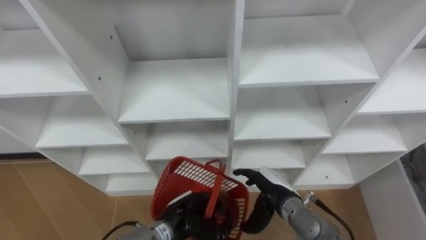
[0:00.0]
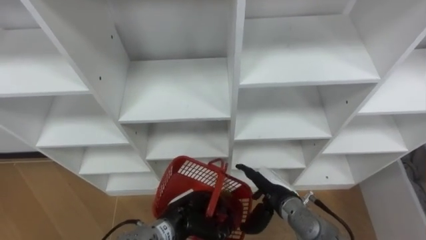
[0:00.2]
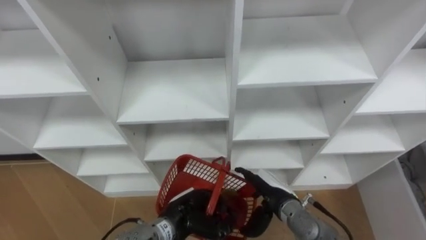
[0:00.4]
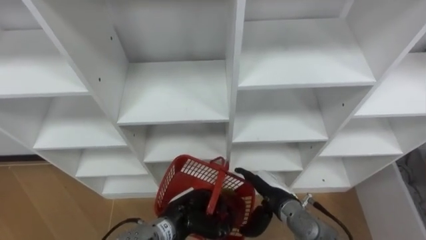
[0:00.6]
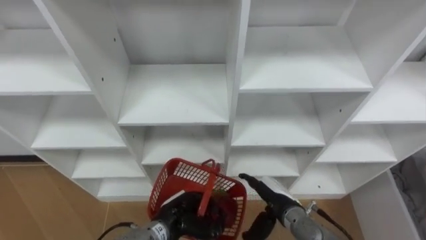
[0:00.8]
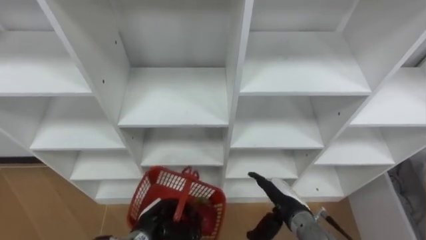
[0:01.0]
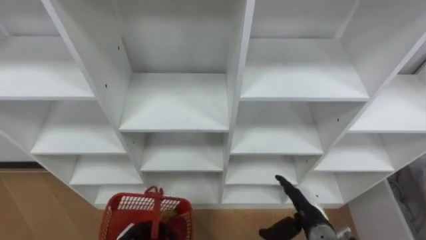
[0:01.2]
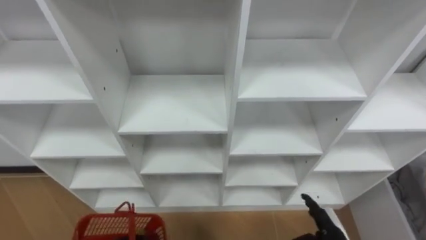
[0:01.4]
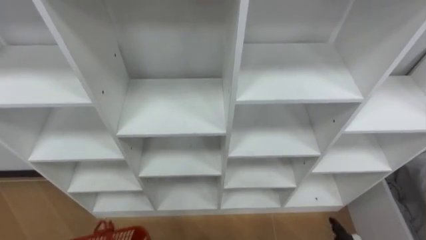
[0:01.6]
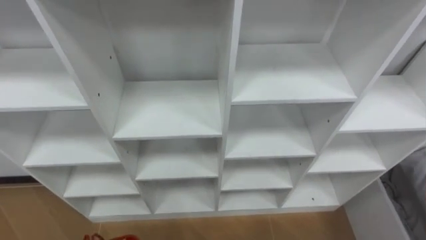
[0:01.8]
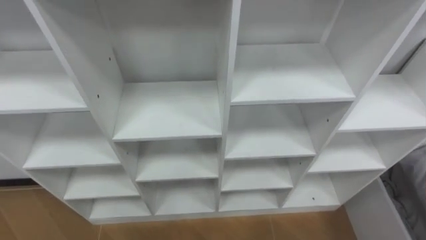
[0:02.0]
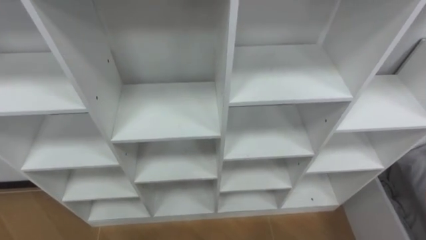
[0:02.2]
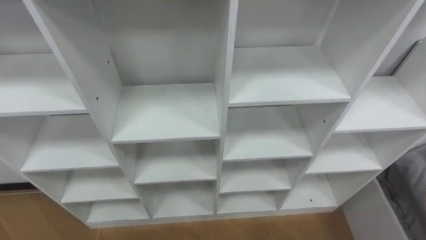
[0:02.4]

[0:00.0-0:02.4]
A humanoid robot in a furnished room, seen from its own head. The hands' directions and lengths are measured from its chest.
Task of the whole recording: Hold the basket and collect the fruits from 3 different cells of the closet into it.
0:00.0 to 0:01.2: The right hand goes roughly 5 cm to the right; the left hand is displaced to the left and downward by some 10 cm.

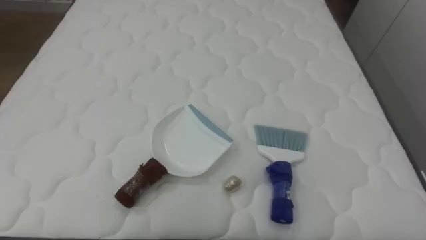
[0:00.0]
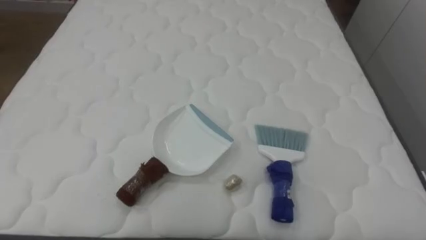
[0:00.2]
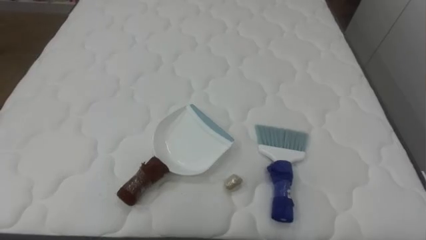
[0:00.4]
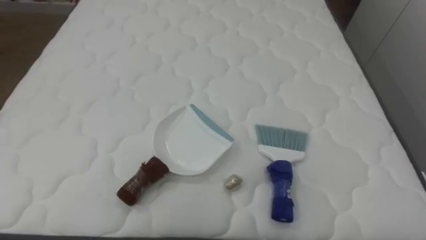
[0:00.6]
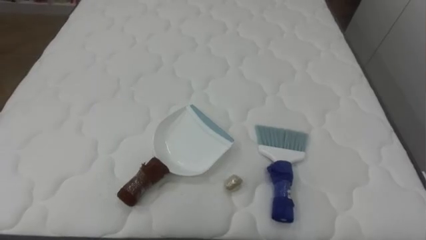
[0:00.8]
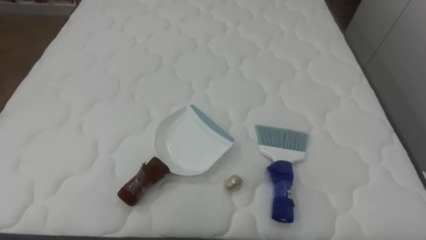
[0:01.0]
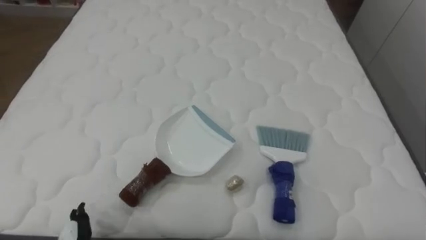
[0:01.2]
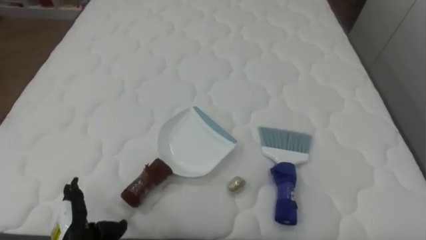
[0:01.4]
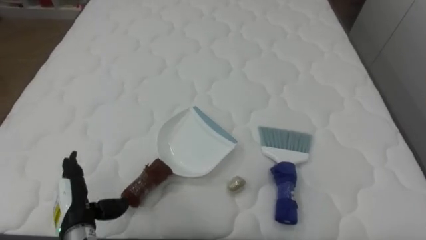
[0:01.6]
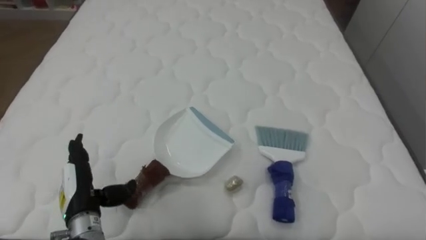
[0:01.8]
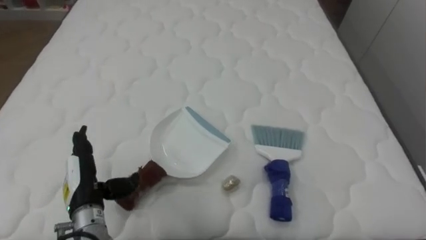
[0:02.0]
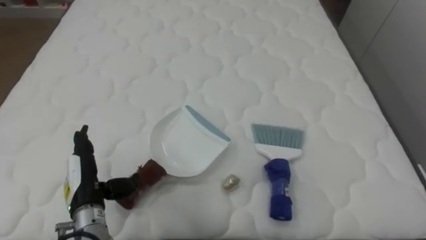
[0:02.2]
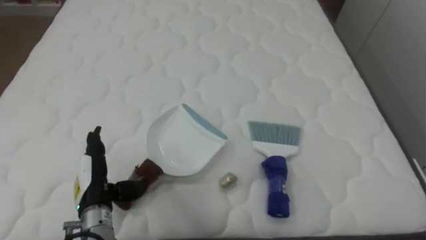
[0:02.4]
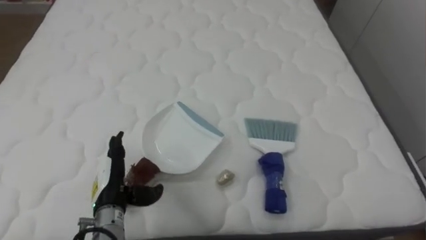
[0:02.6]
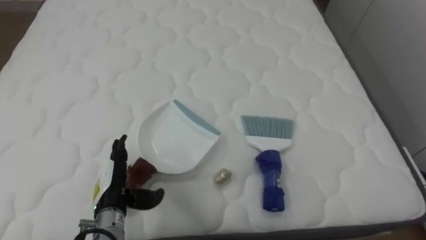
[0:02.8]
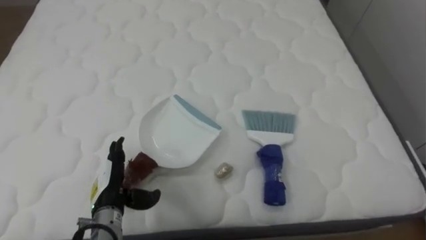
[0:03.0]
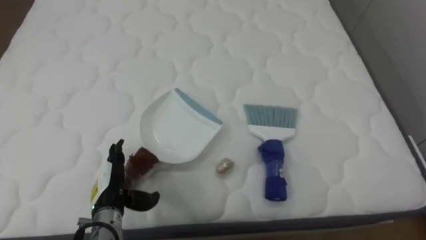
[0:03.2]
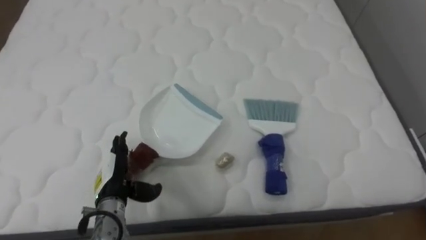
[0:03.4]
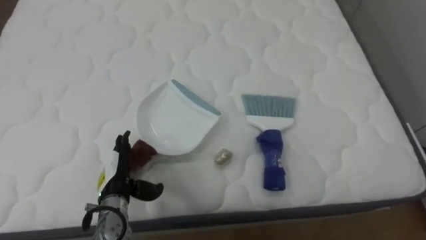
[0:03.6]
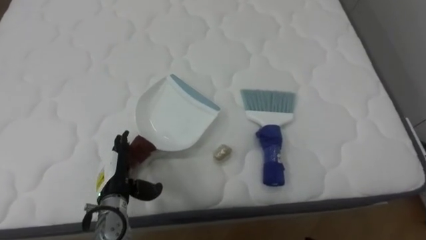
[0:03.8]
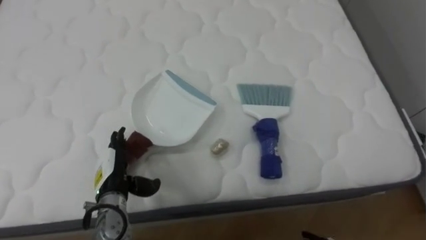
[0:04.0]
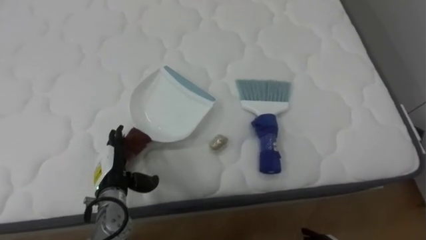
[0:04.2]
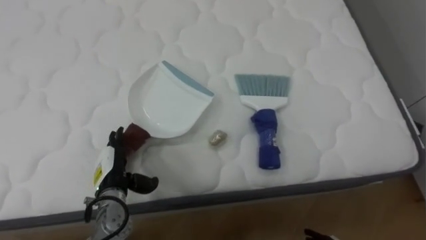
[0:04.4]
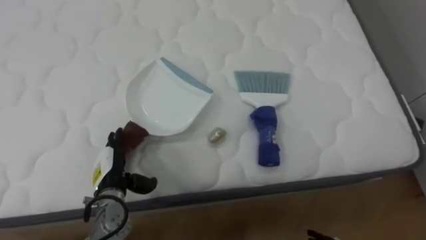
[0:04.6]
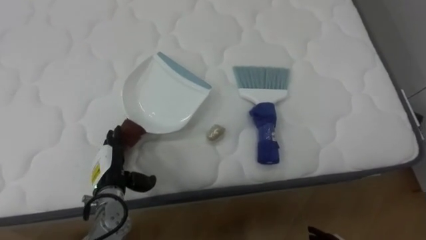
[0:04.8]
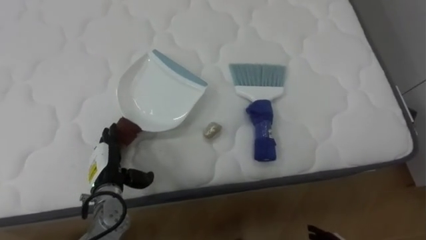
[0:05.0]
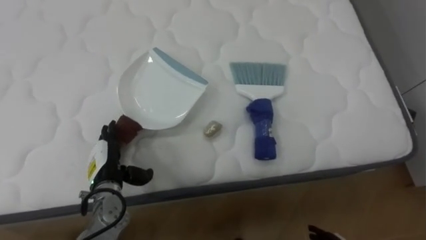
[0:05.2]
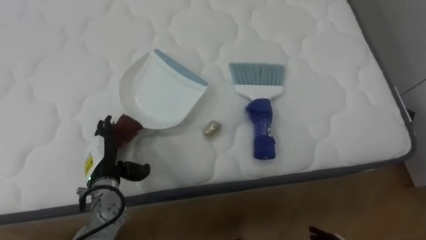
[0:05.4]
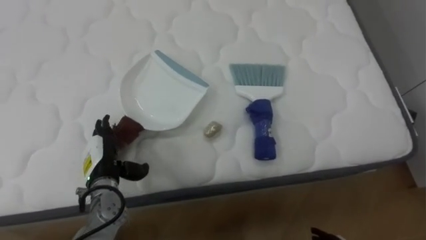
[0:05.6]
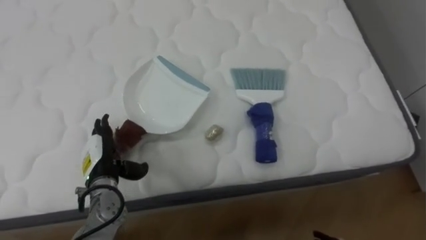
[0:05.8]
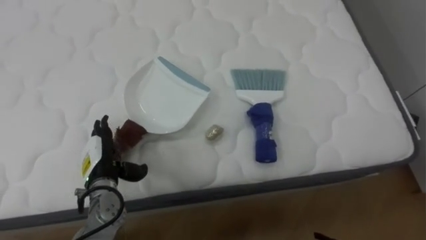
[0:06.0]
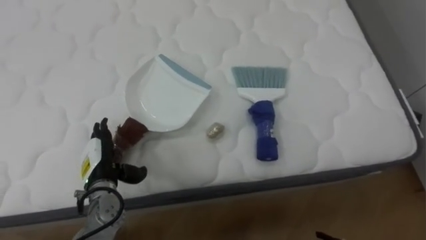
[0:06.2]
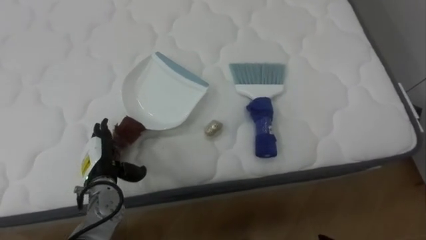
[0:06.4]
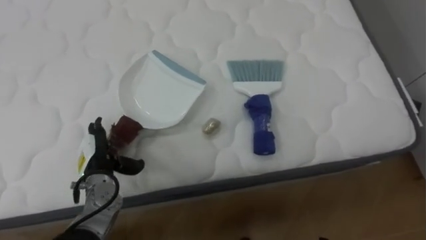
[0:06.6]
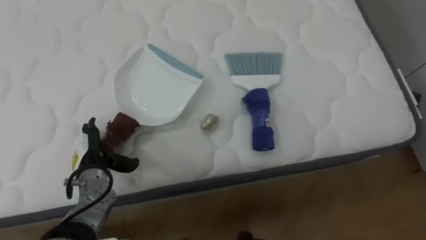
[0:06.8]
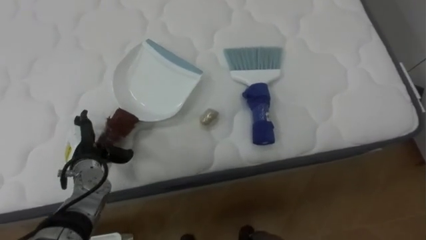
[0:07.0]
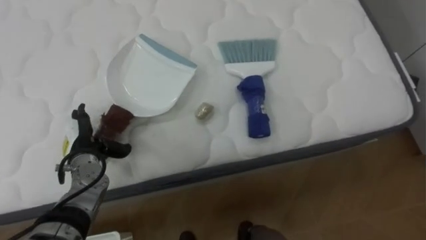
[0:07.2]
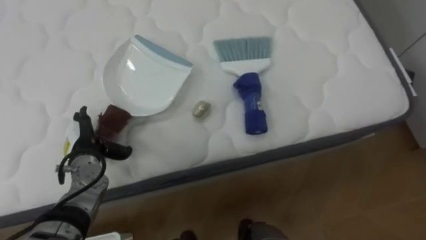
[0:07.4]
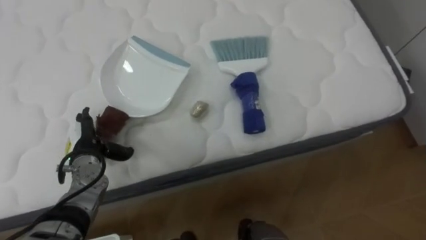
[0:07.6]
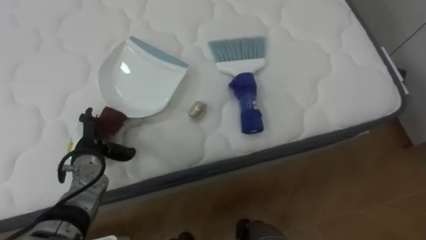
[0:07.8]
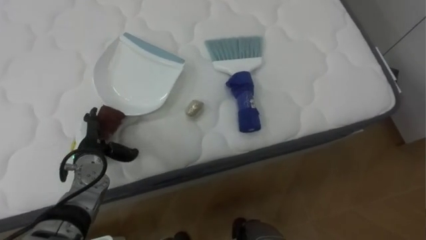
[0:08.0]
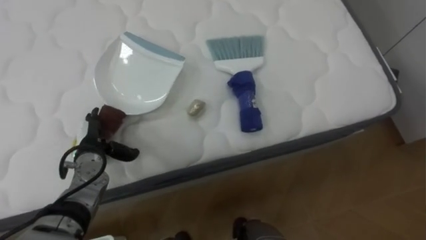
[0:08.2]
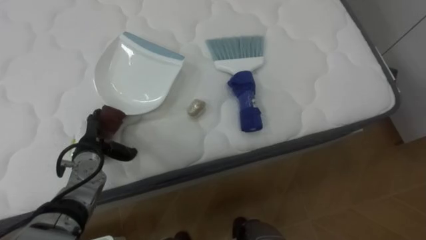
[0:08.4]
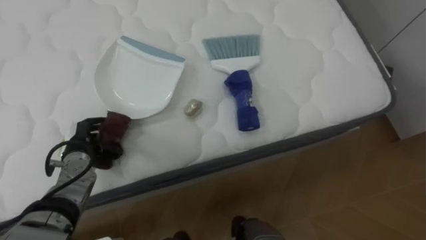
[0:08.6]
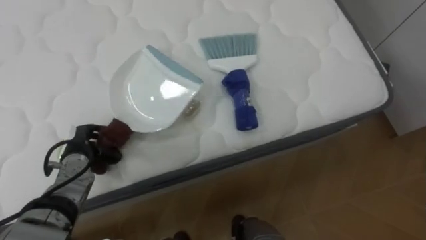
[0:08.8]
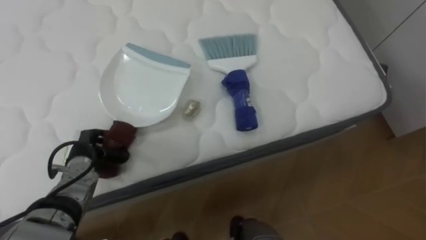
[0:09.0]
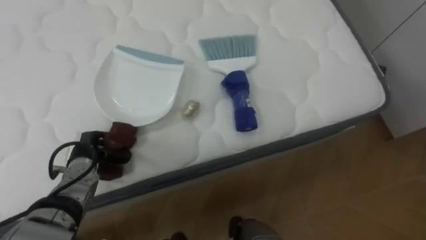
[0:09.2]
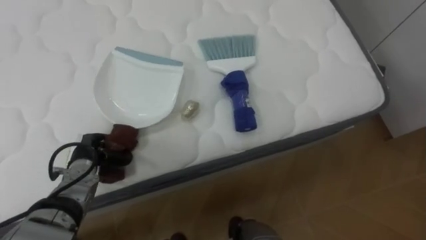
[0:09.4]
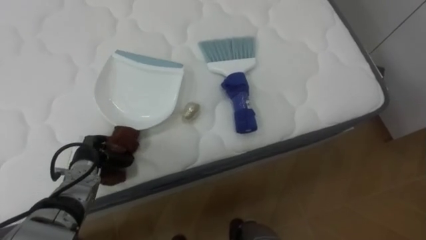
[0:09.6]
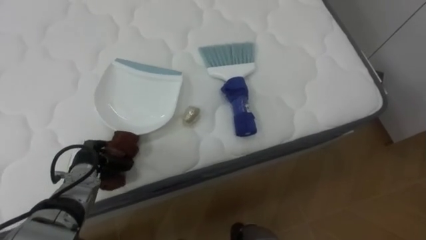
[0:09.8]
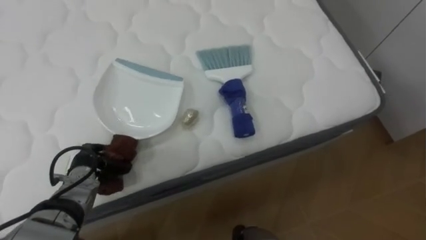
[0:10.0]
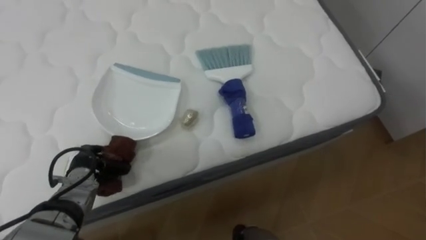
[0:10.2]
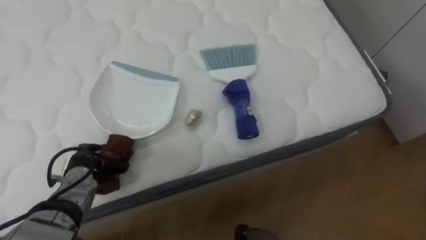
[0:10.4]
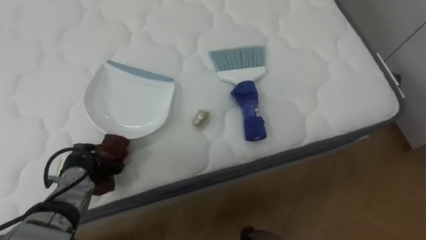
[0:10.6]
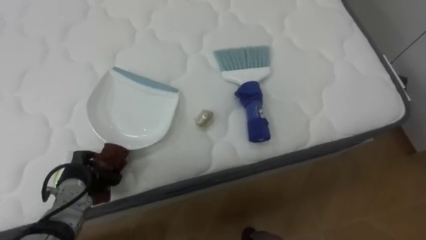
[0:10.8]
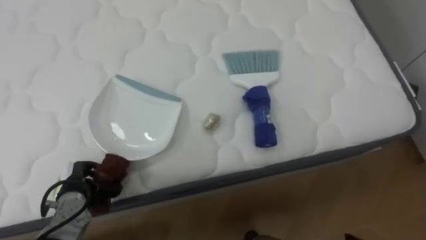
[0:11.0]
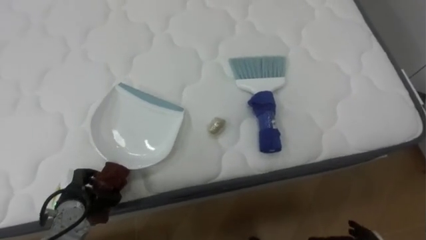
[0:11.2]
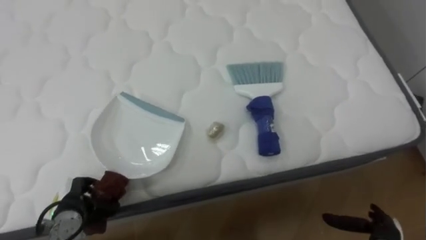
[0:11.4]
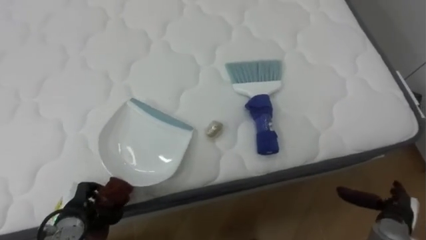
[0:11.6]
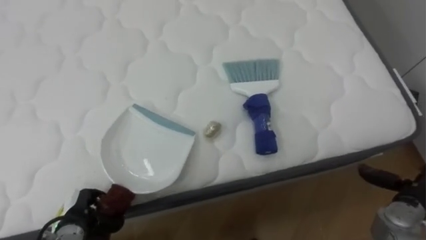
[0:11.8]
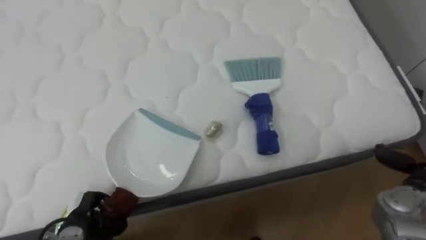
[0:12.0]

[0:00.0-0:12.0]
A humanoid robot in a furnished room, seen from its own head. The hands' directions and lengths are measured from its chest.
Task of the whole recording: Pick up the brush on your right and the dustpan on your left. Use the brush to sweep the crumpled paper on the bed into the dustpan, then turn left and empty it into the basket.
0:01.6 to 0:03.0: The left hand travels to the right by roughly 5 cm.
0:06.0 to 0:07.6: The left hand shifts by approximately 5 cm.
0:07.6 to 0:09.0: The left hand closes up.
0:10.4 to 0:12.0: The left hand moves backward, roughly 10 cm.

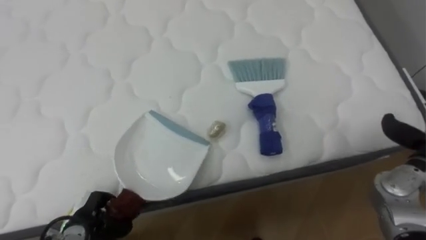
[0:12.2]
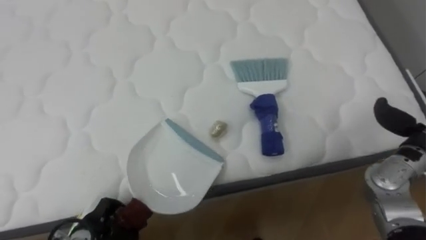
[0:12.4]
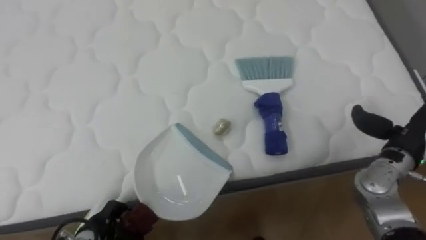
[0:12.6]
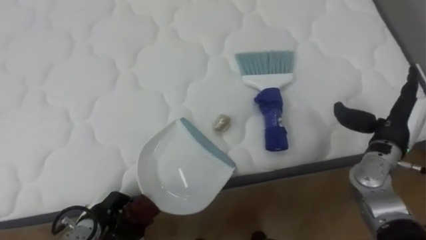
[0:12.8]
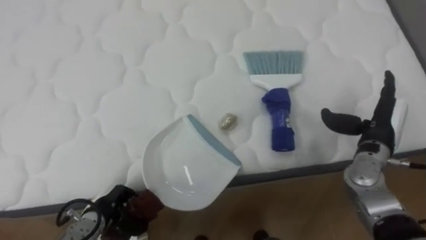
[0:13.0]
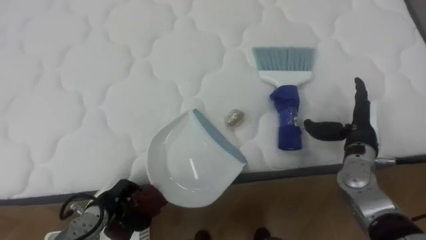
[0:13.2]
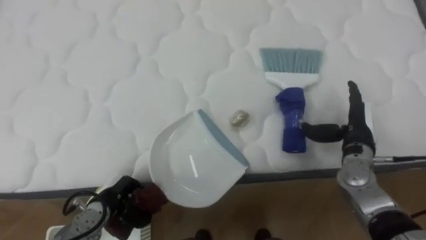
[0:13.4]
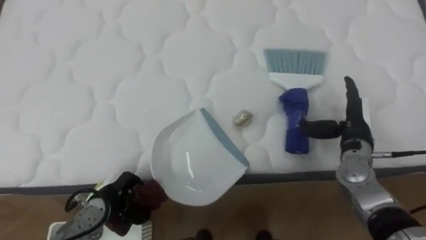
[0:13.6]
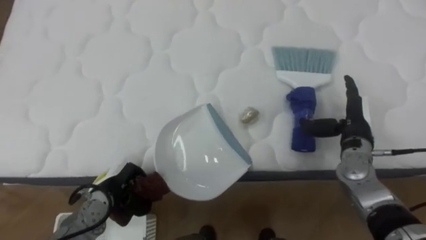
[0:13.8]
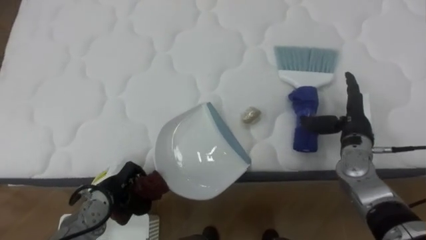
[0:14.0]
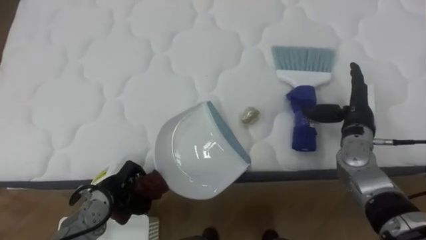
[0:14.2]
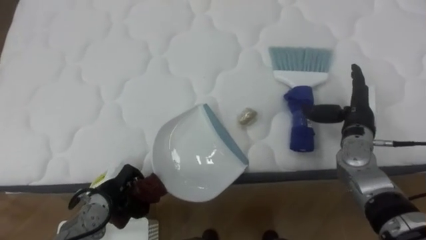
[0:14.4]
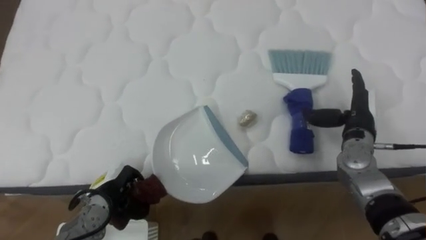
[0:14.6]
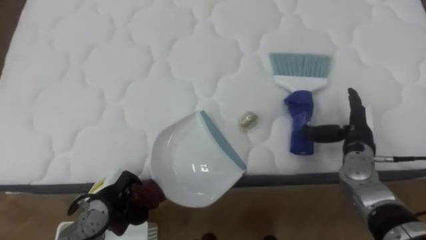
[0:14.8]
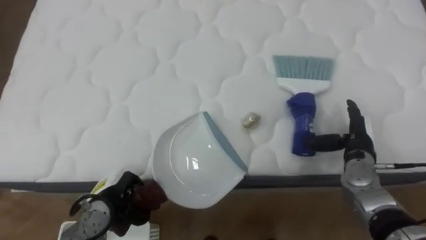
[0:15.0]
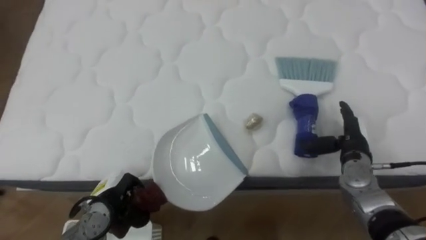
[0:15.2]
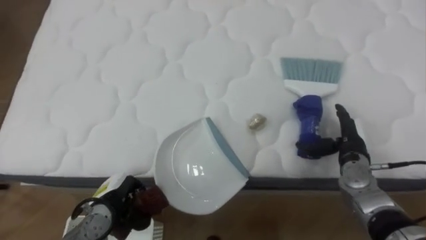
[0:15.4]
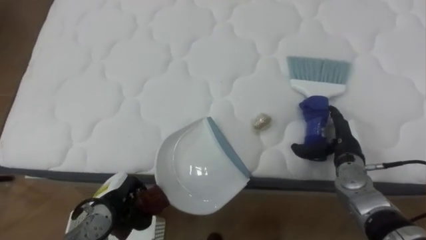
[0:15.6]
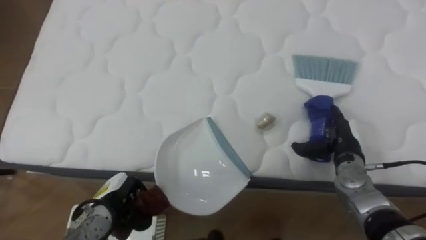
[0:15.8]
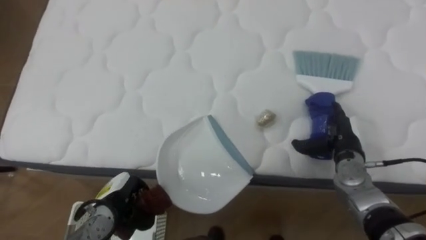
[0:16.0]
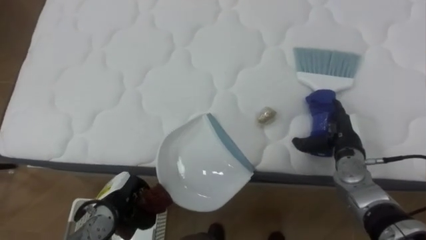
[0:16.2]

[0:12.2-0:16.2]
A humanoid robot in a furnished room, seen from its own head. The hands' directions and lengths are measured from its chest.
Task of the whole recording: Pick up the brush on your right and the dustpan on your left. Use the brush to sweep the crumpled paper on the bed into the dustpan, then turn left and empty it into the basket.
0:12.2 to 0:13.6: The left hand travels to the right and forward by about 5 cm.
